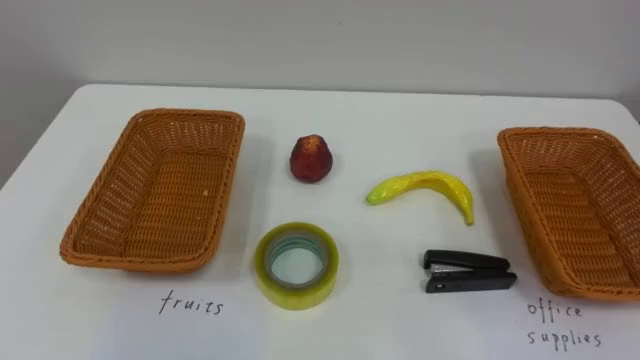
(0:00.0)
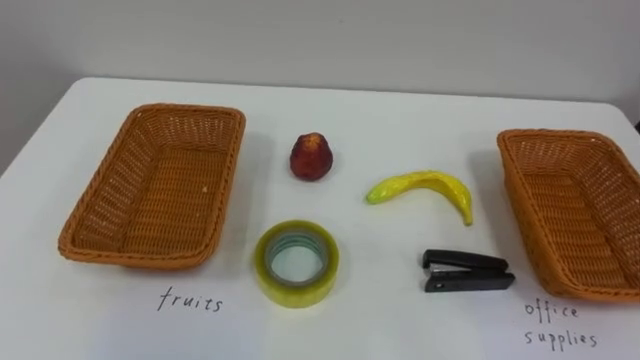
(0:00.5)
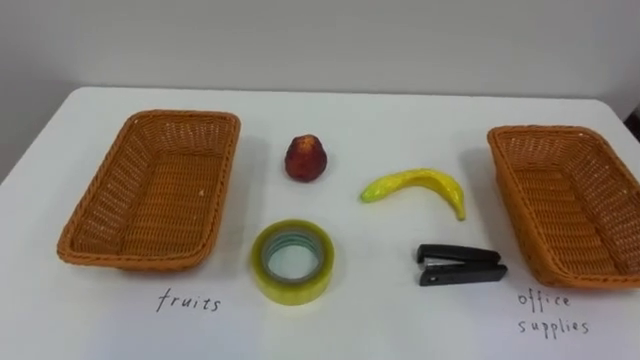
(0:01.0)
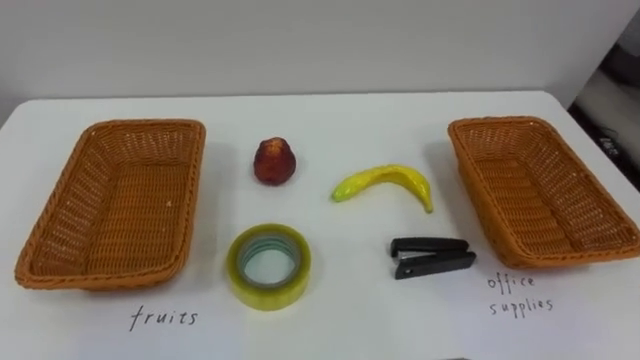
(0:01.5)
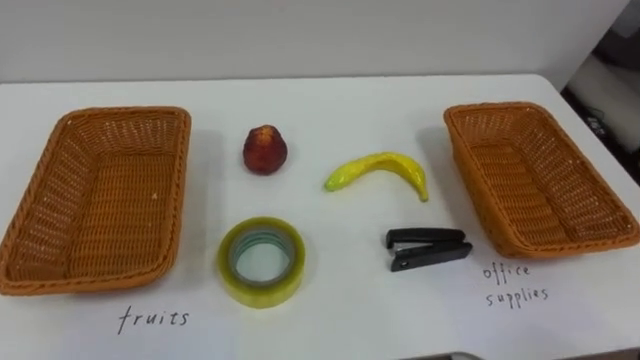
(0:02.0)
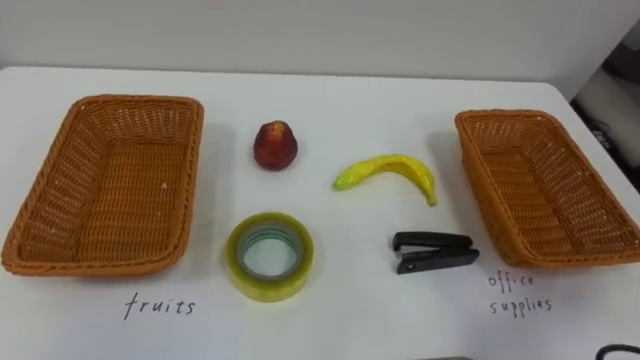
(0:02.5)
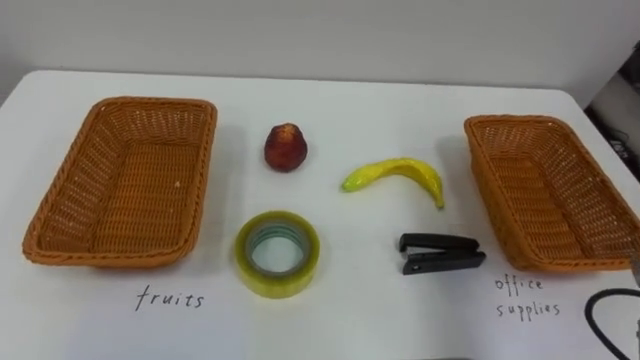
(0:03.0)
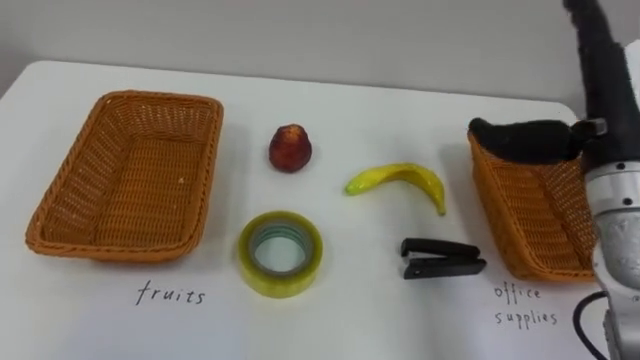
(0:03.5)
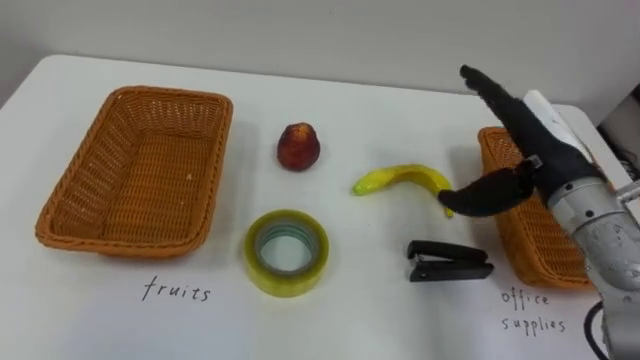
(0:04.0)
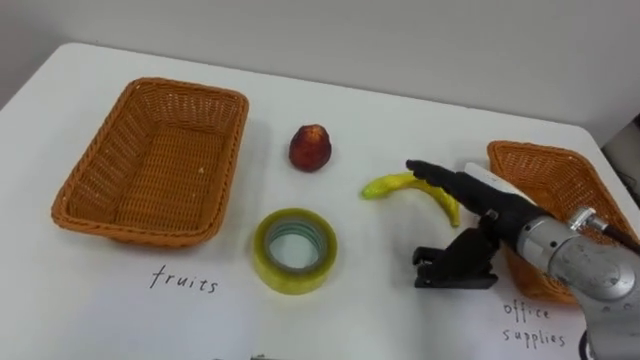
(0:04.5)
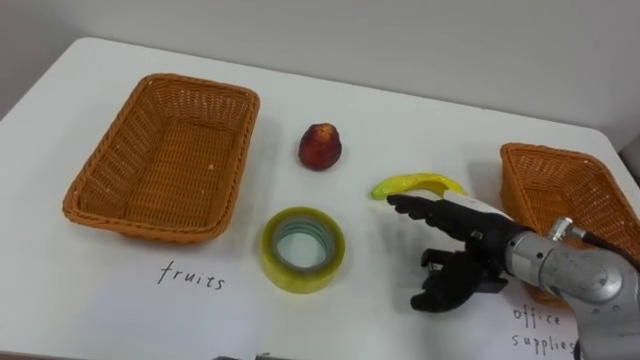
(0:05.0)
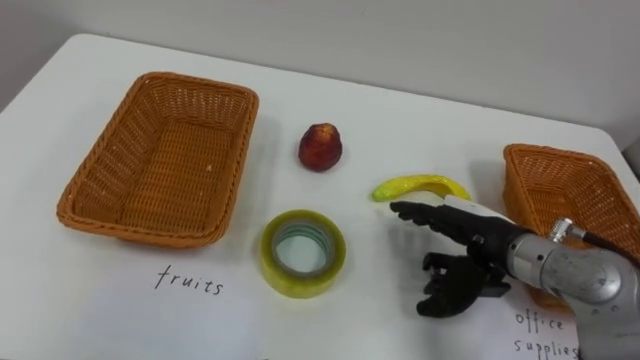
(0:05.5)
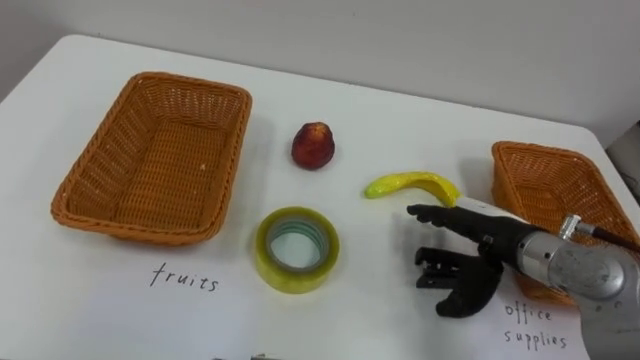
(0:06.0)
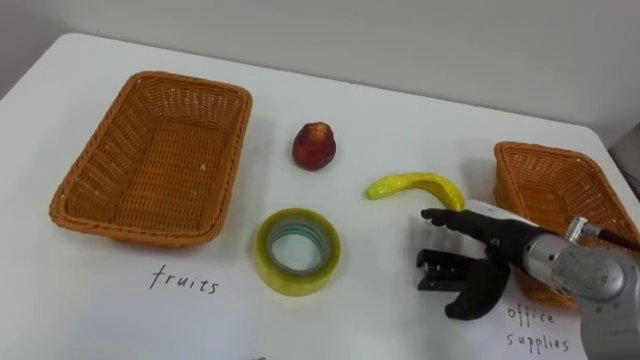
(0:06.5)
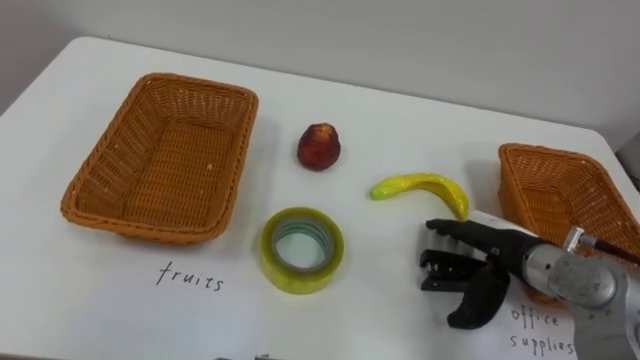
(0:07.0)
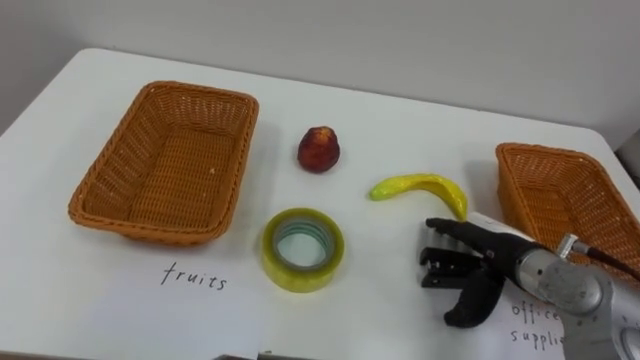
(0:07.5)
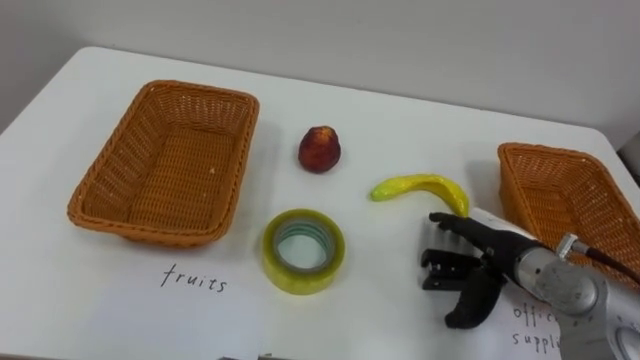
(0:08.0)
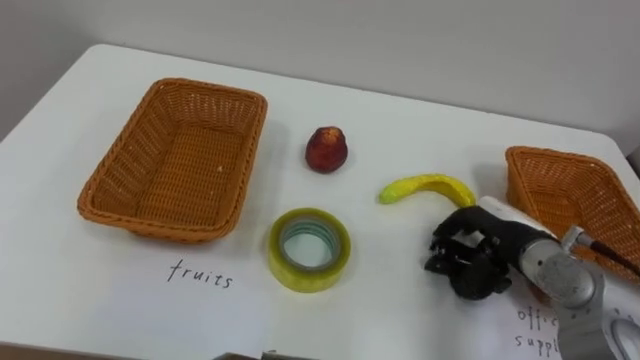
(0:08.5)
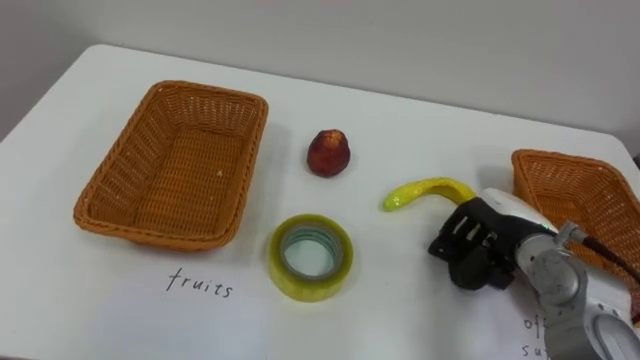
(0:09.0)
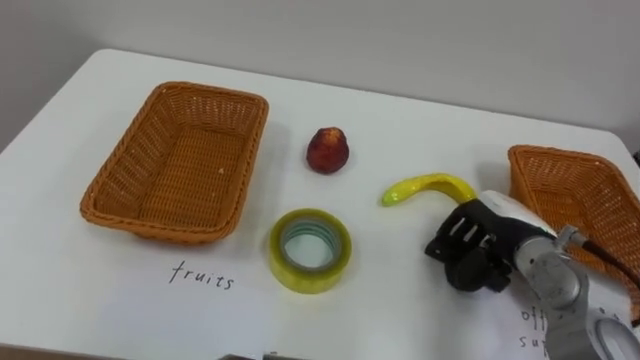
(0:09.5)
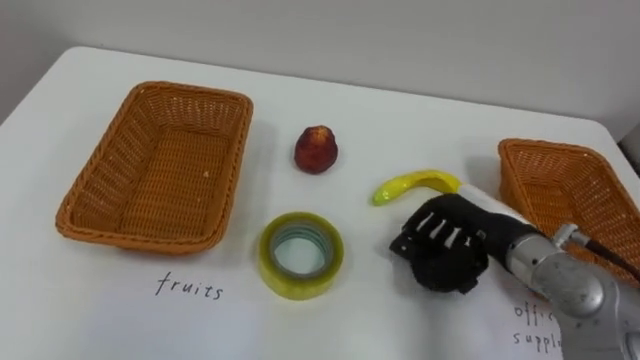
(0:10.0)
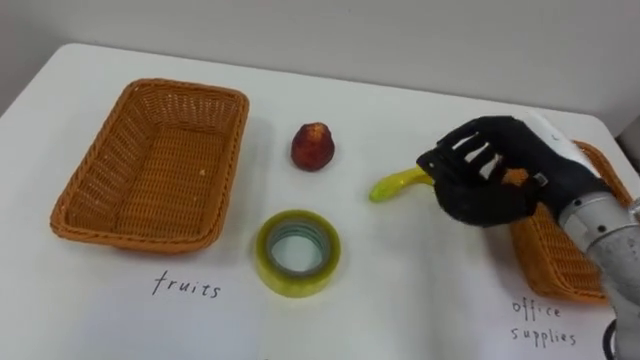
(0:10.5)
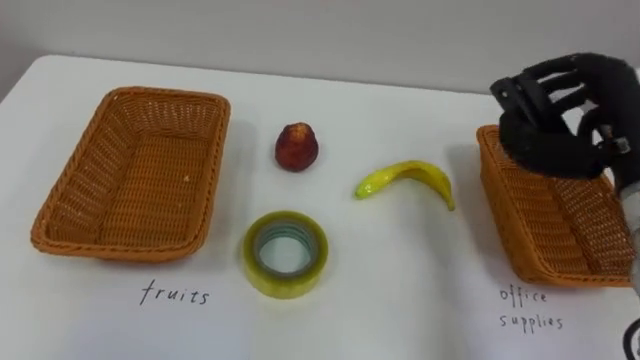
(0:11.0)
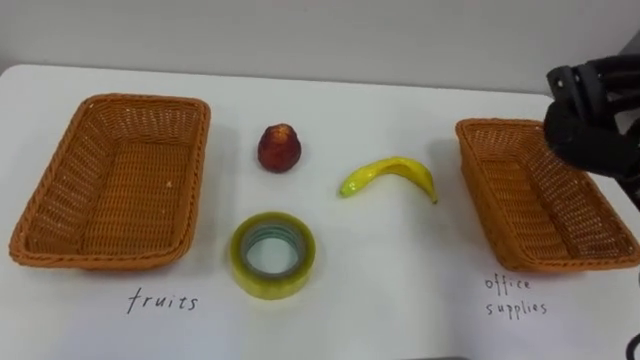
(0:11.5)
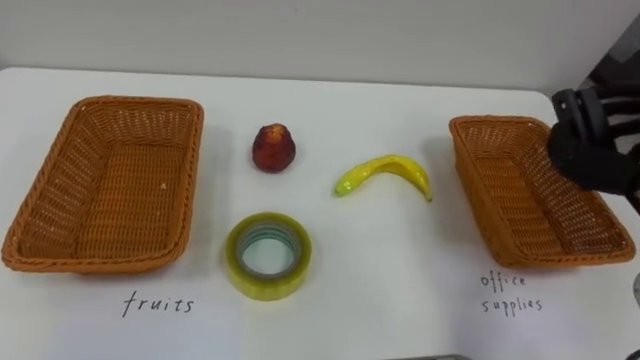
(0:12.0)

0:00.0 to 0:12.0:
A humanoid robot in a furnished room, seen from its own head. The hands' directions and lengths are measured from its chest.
Task of the whole recording: Separate the items on the table and place them into the two baskets.
0:04.0 to 0:06.0: The right hand shifts about 10 cm downward.
0:08.0 to 0:10.0: The right hand closes up.

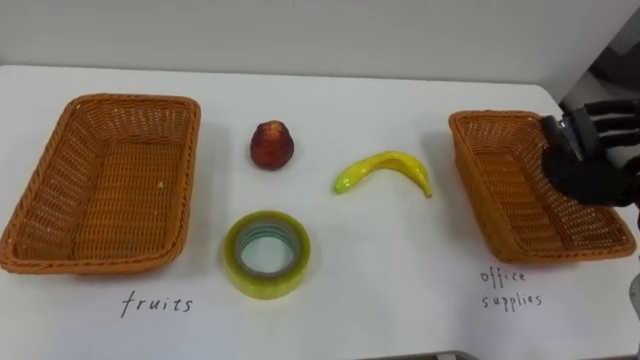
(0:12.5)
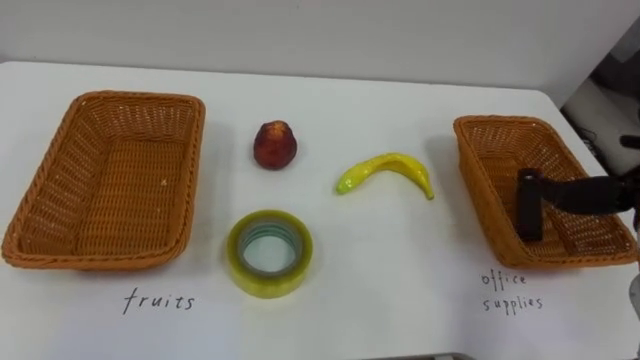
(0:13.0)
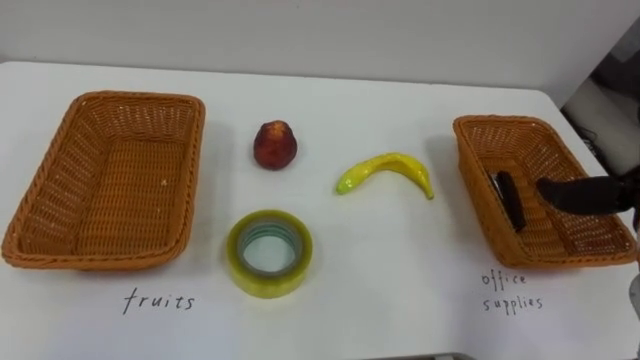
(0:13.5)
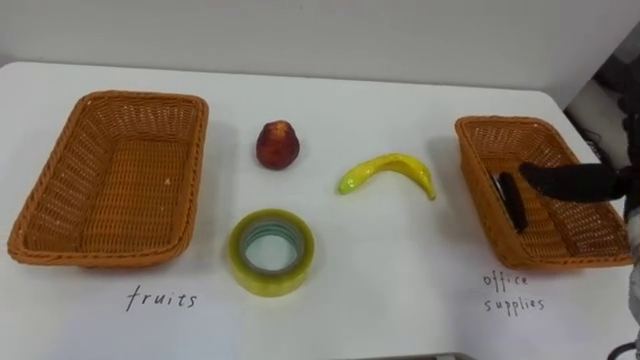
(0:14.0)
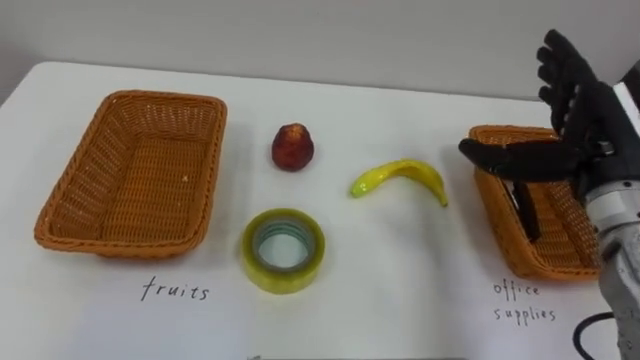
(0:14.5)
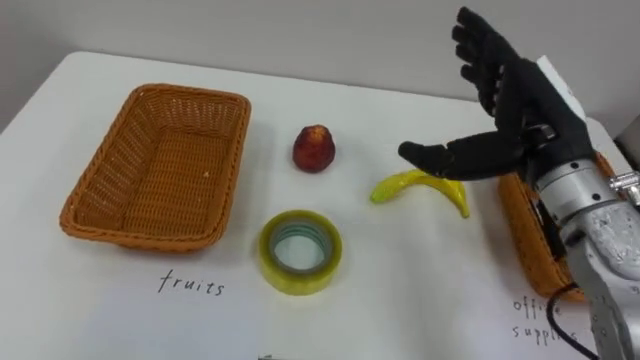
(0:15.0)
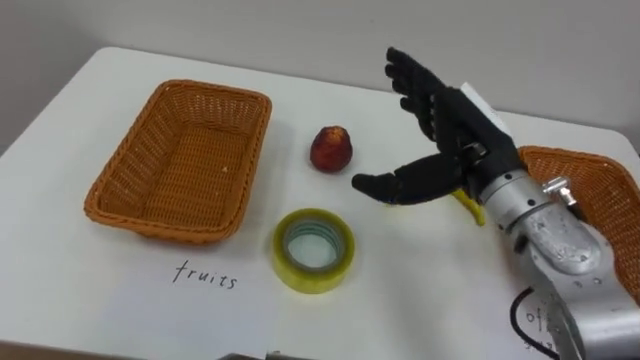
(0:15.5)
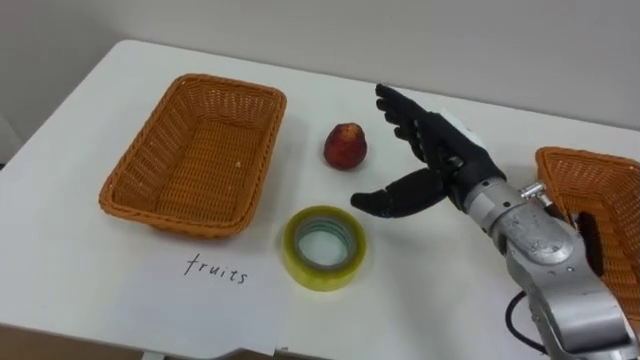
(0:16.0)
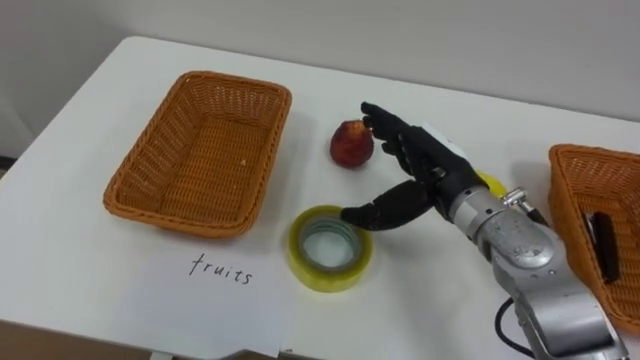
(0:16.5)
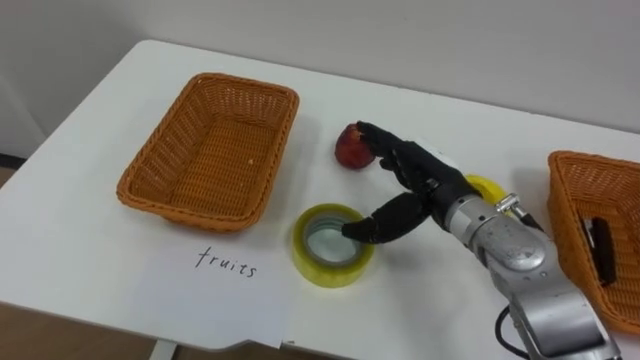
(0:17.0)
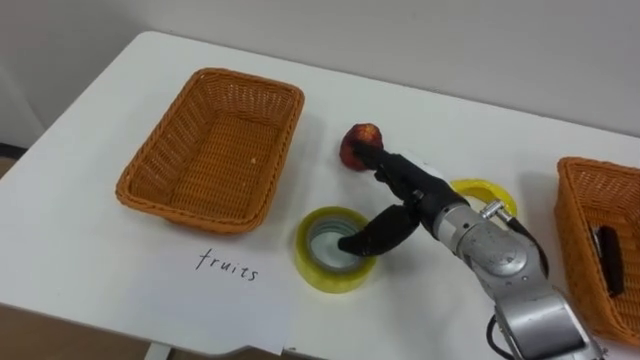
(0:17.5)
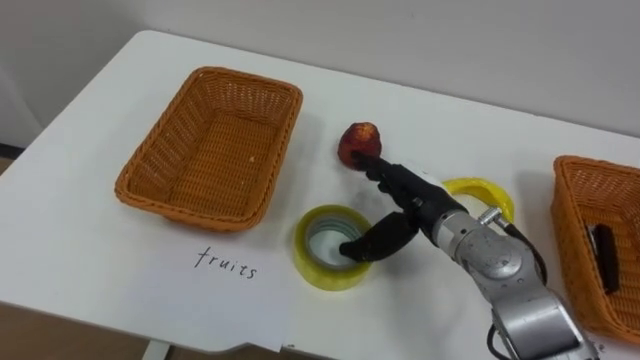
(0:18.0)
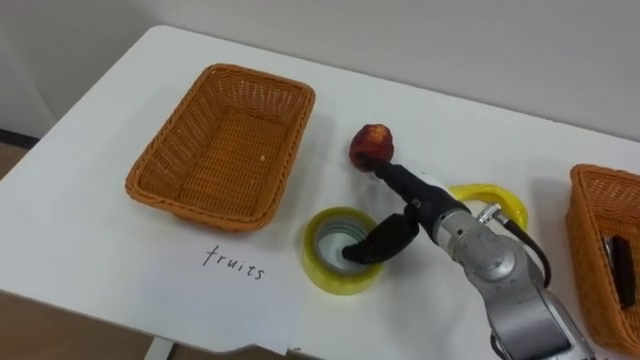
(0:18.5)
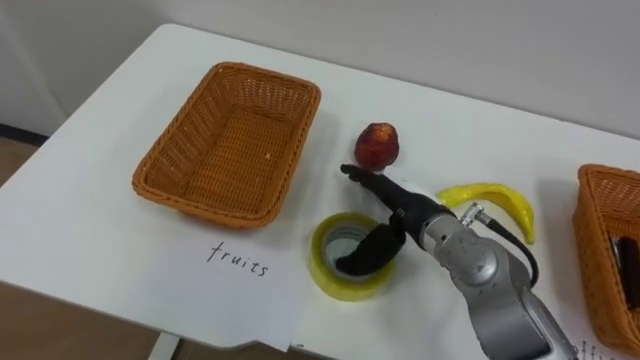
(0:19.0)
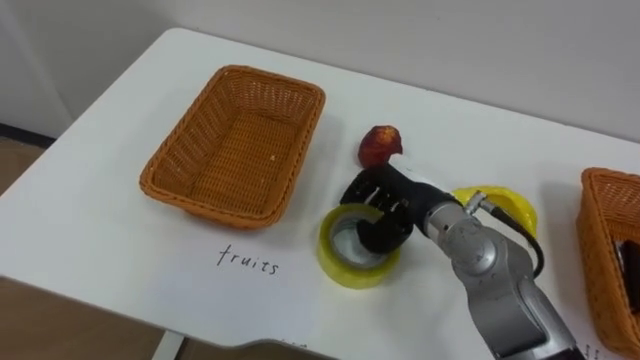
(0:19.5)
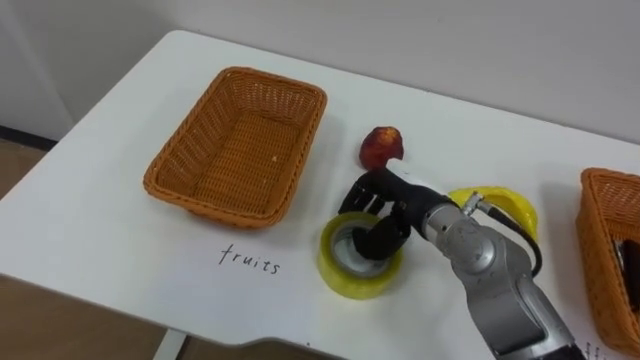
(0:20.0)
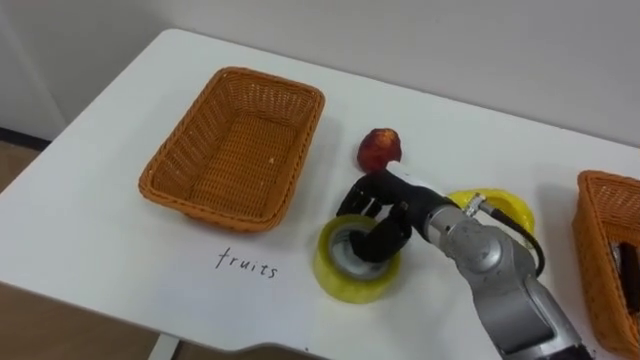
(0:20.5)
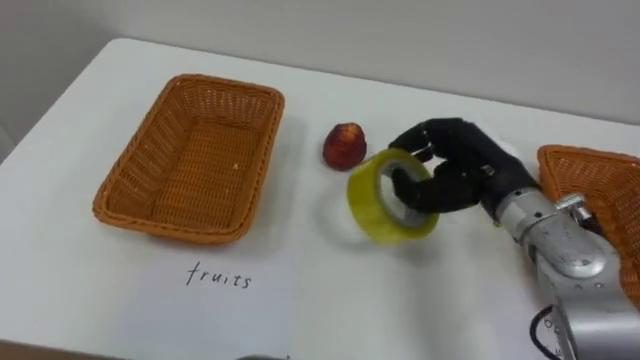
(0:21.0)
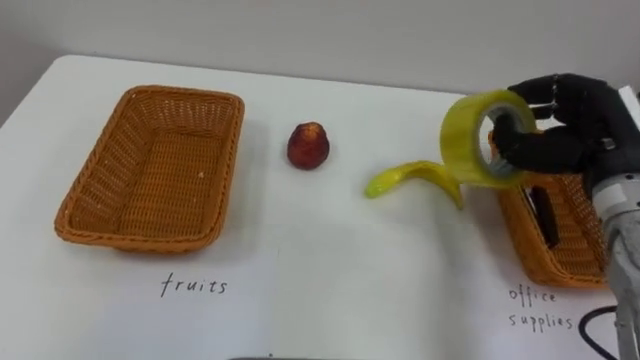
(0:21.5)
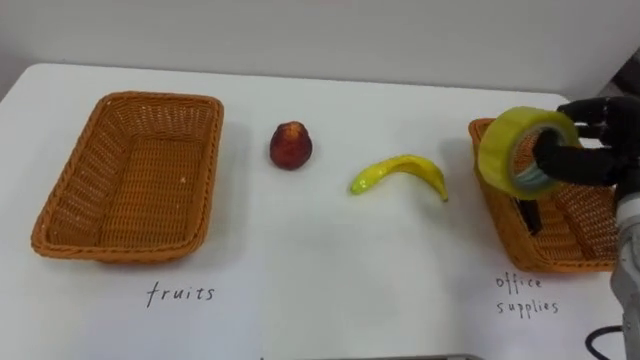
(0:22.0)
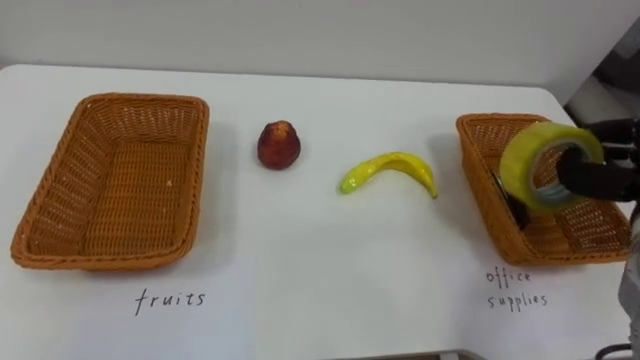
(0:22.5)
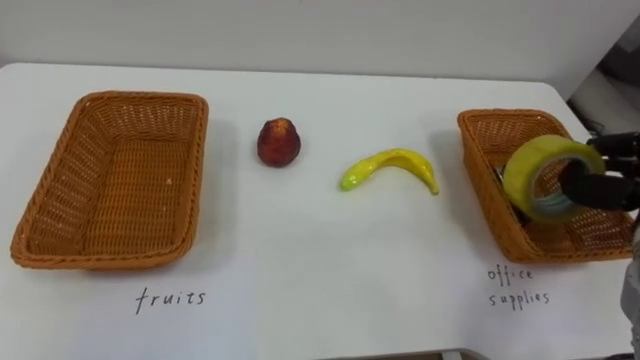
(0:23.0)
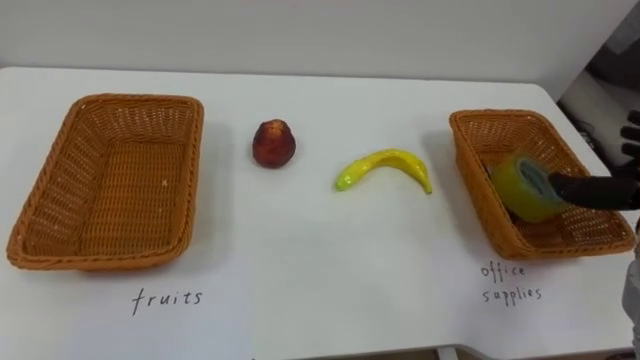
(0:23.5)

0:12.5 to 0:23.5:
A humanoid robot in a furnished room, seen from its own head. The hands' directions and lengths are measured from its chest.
Task of the whole recording: Separate the items on the table and place them into the two baskets.
0:14.5 to 0:16.0: The right hand moves to the left, approximately 15 cm.
0:16.0 to 0:18.0: The right hand shifts about 5 cm downward.
0:18.0 to 0:20.0: The right hand closes up.
0:20.0 to 0:21.5: The right hand heads to the right and upward, covering roughly 20 cm.
